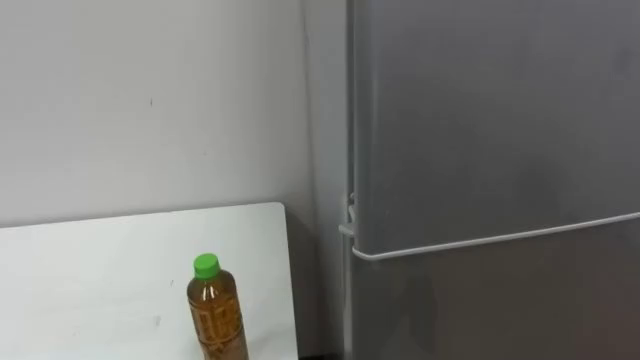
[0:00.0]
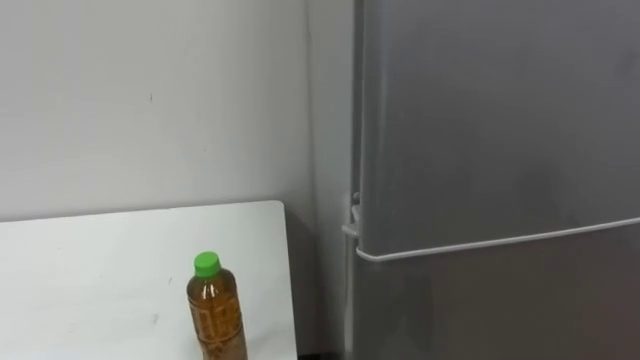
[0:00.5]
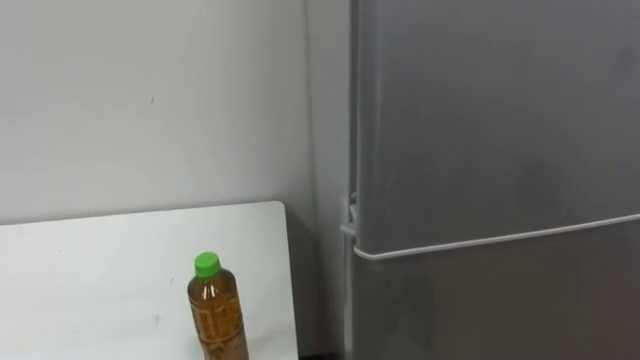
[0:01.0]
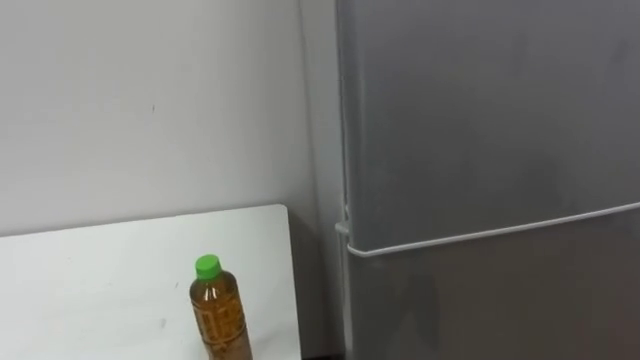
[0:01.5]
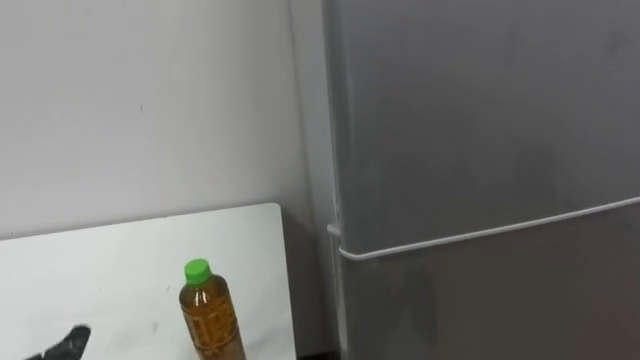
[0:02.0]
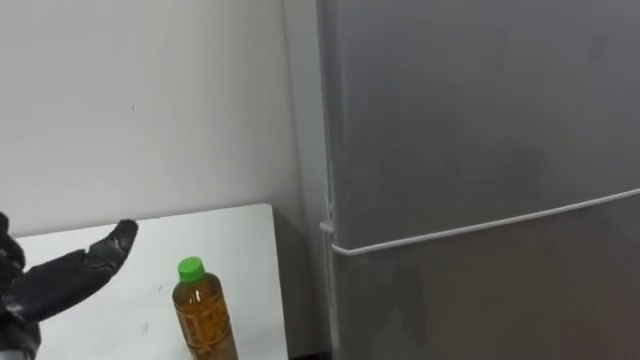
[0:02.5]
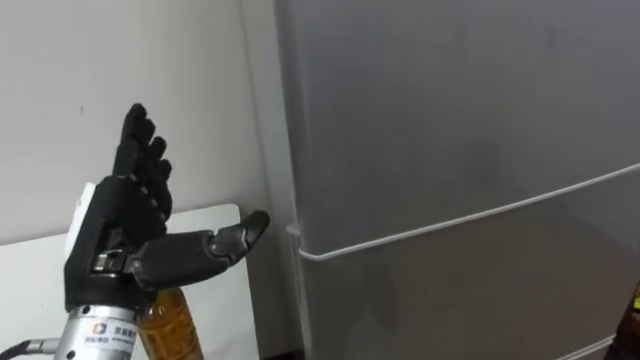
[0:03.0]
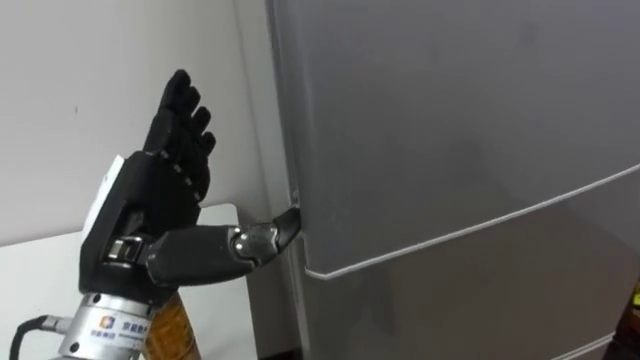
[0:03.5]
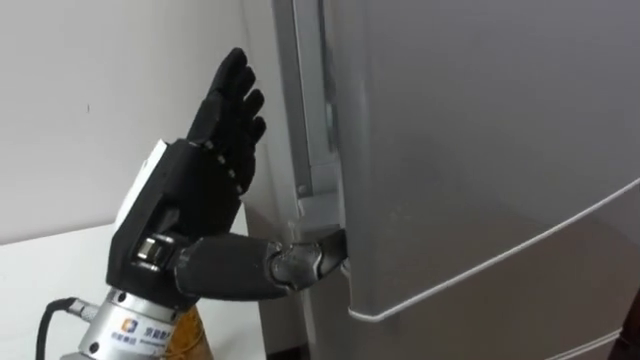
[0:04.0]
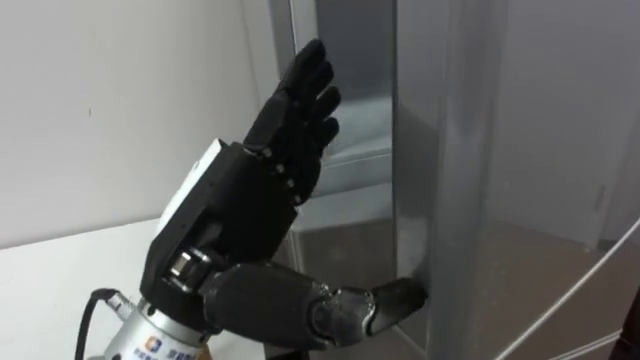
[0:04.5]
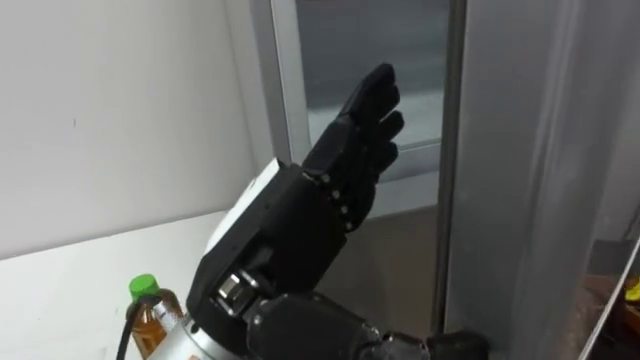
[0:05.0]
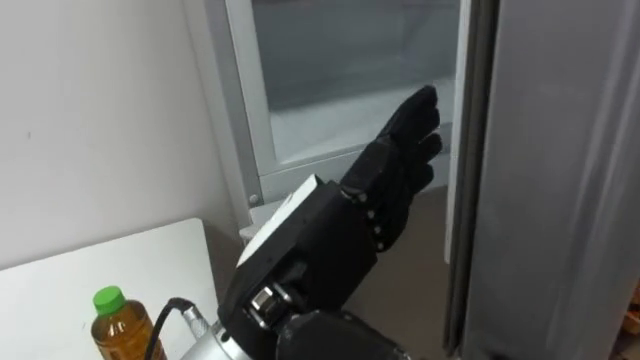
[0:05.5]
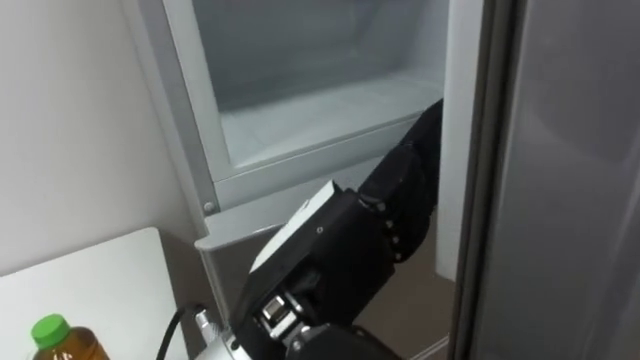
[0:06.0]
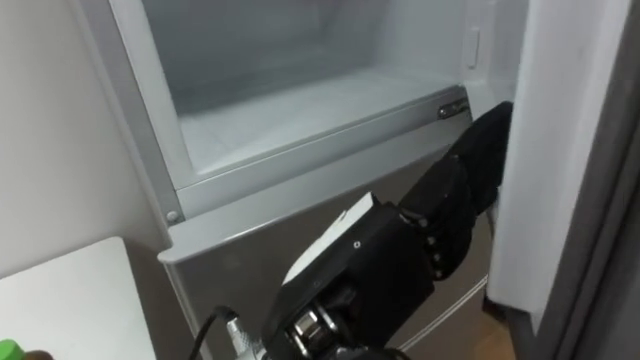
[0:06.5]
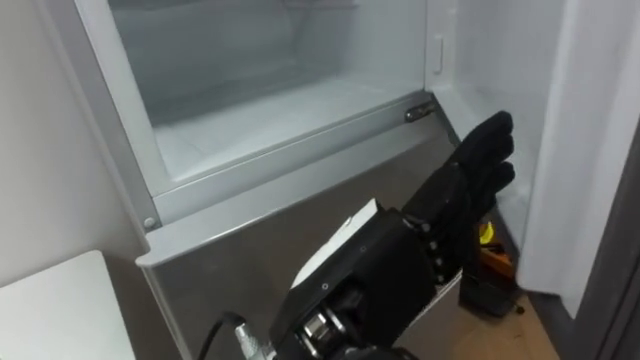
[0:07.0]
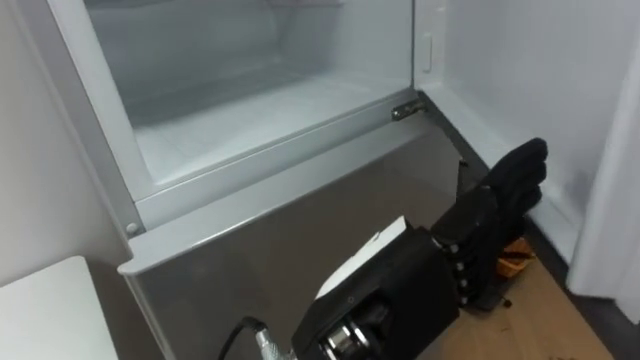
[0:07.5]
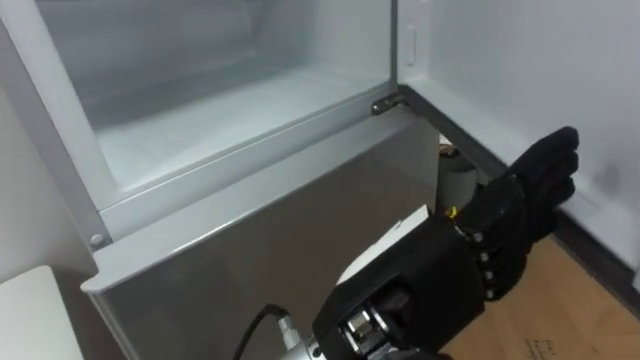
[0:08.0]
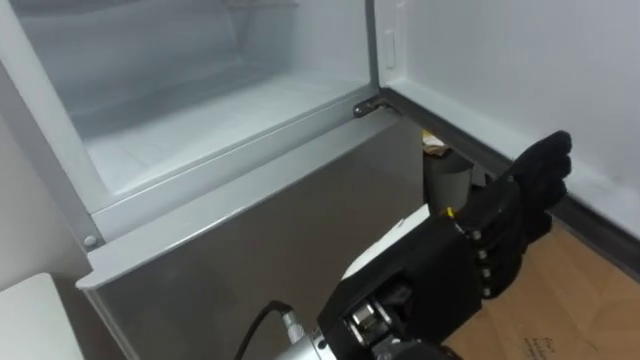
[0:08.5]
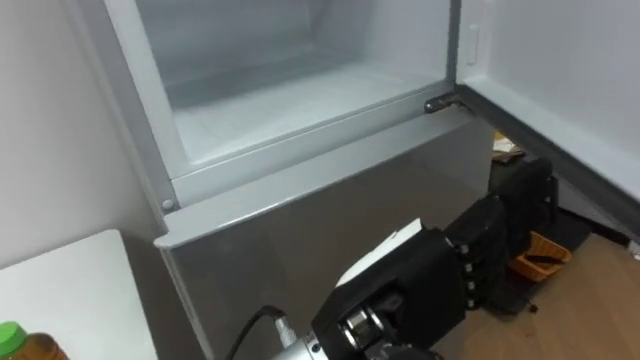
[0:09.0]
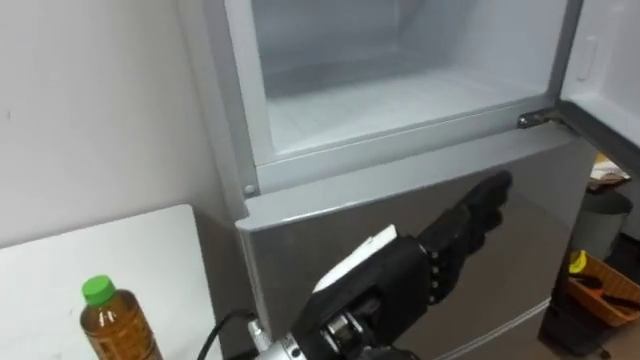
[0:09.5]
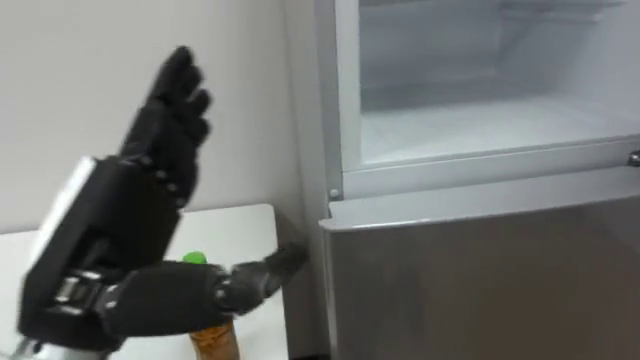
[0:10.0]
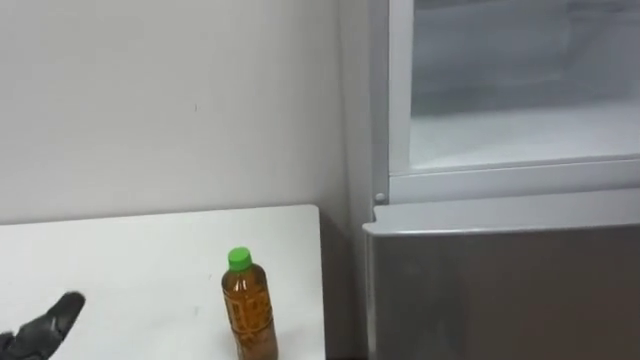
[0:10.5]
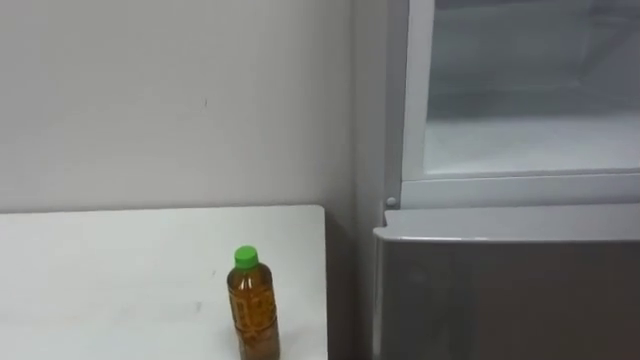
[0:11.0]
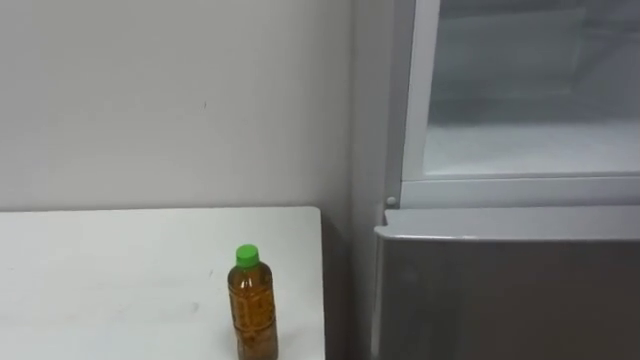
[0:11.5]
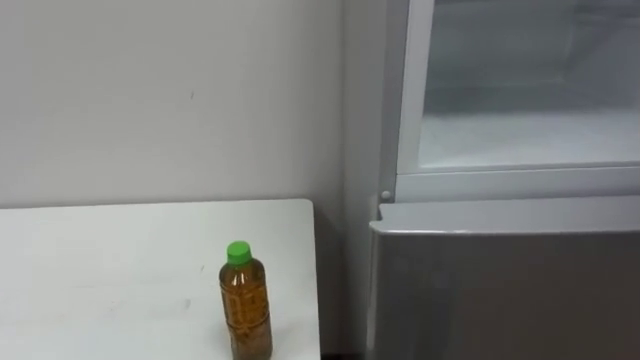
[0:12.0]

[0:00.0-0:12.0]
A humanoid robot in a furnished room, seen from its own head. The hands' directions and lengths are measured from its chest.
Task of the whole recording: Open the upper refrigerator door, put the drink from the table into the refrigerator, and then close the refrigerator door.
0:04.0 to 0:06.0: The left hand goes roughly 10 cm to the right.
0:06.0 to 0:08.0: The left hand goes roughly 5 cm to the right.
0:08.0 to 0:10.0: The left hand goes some 20 cm to the left.

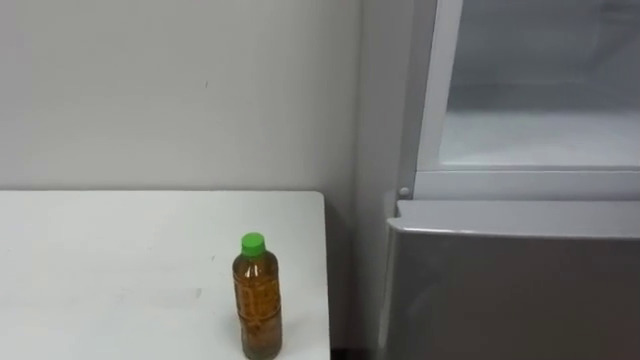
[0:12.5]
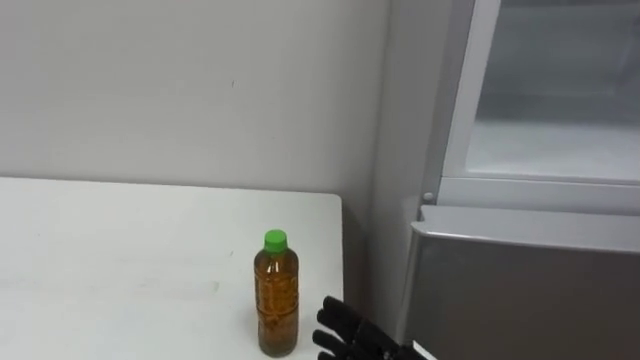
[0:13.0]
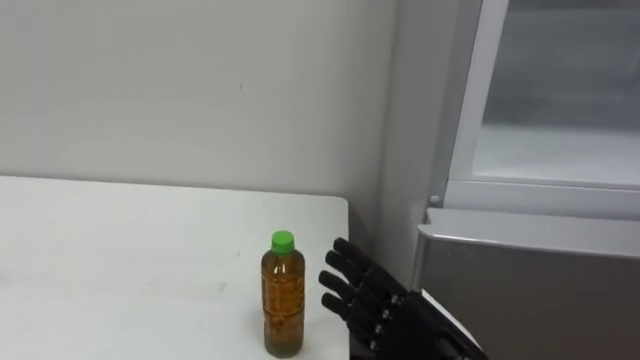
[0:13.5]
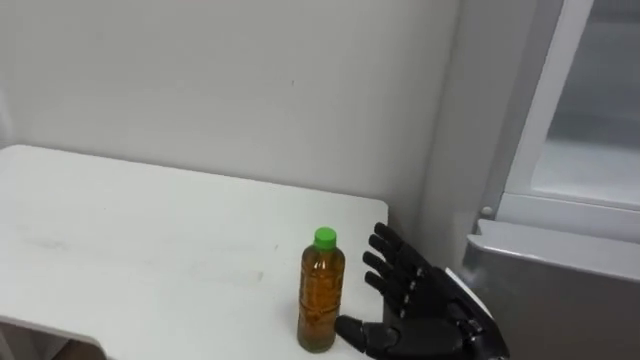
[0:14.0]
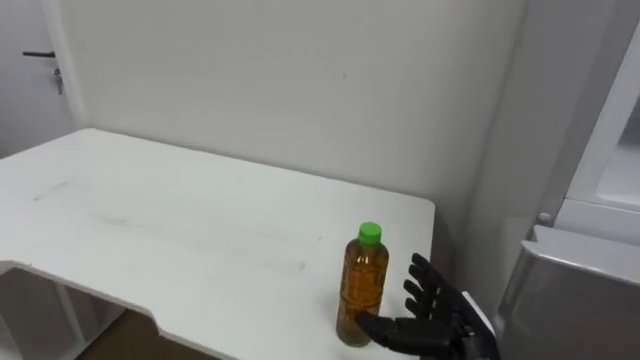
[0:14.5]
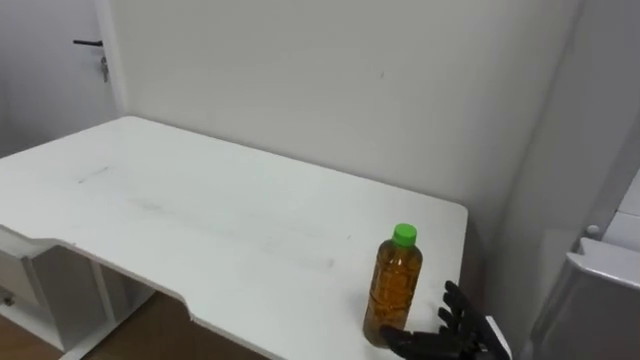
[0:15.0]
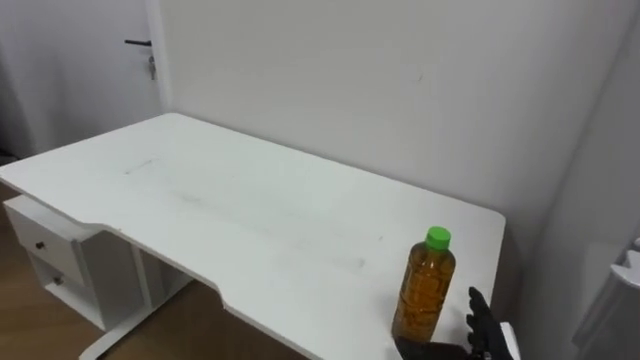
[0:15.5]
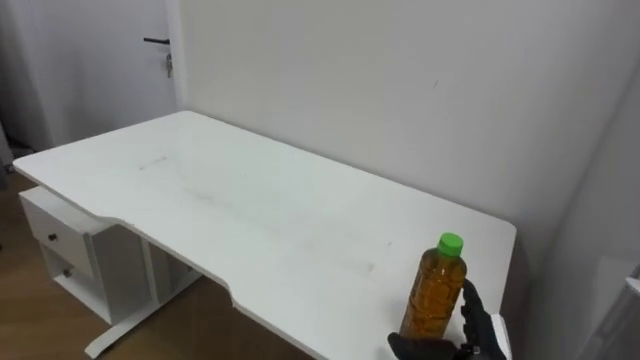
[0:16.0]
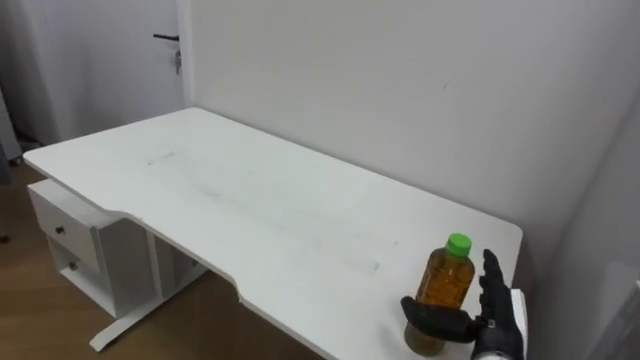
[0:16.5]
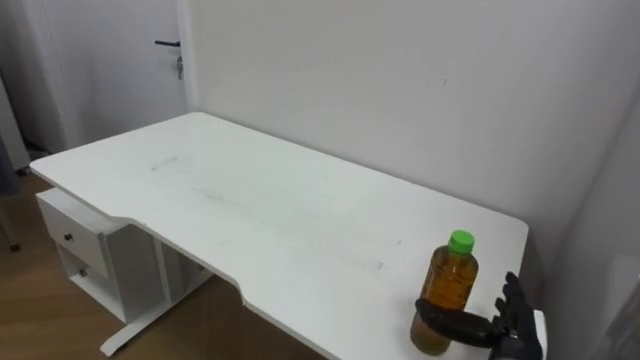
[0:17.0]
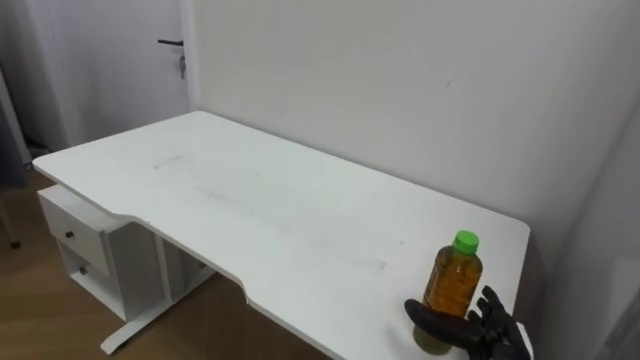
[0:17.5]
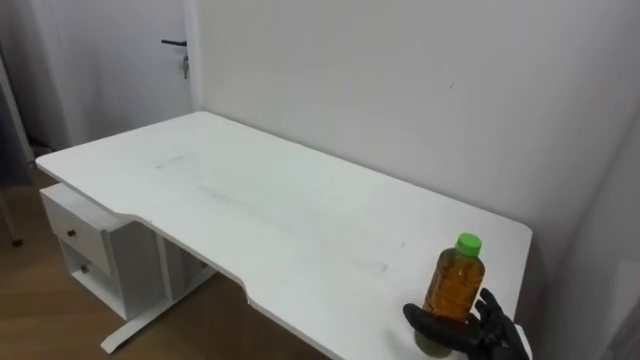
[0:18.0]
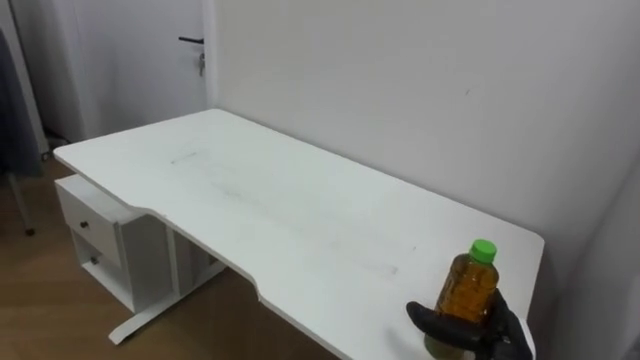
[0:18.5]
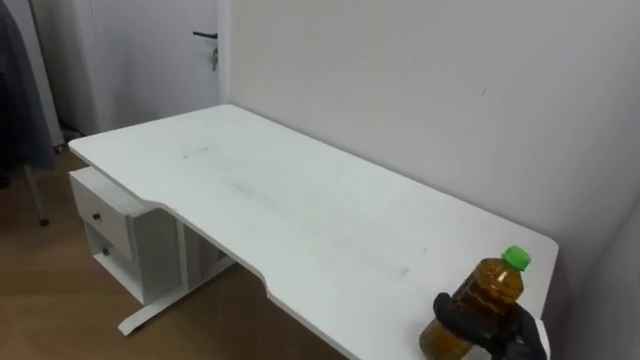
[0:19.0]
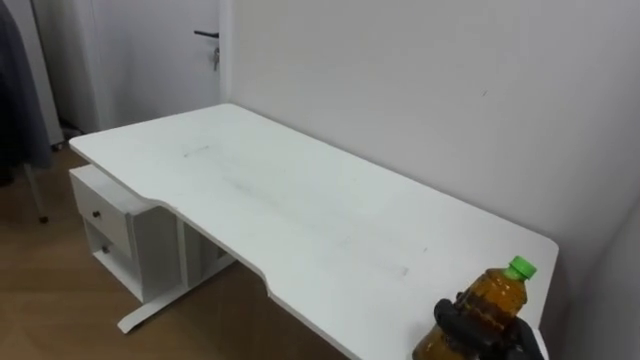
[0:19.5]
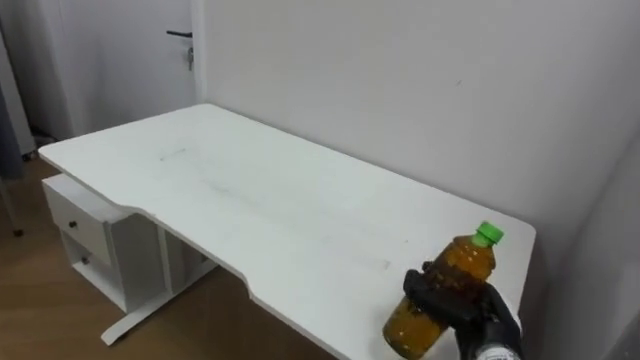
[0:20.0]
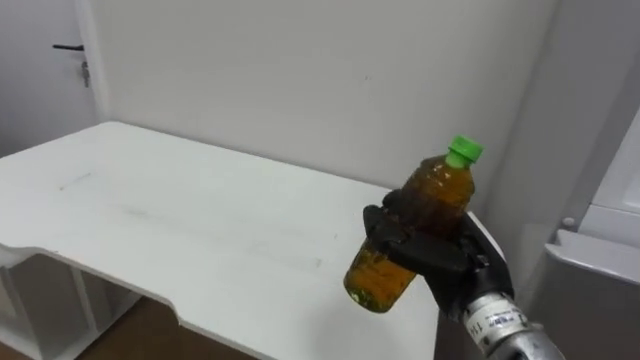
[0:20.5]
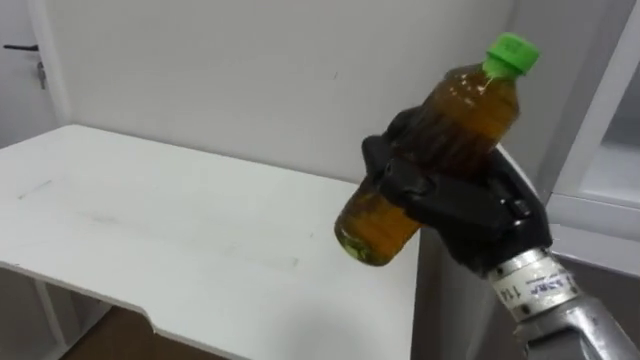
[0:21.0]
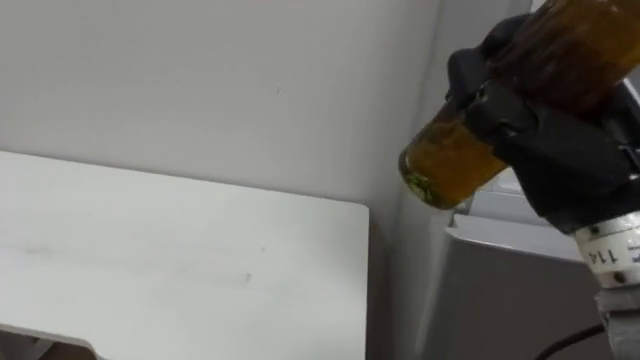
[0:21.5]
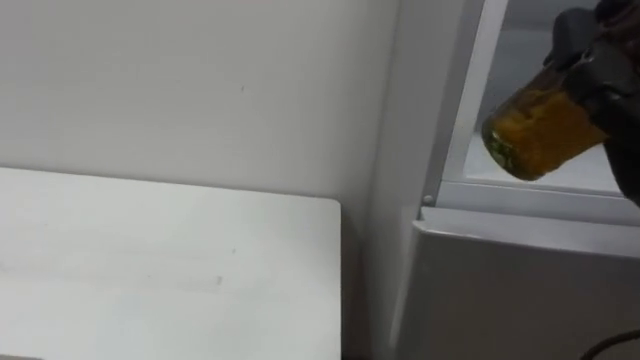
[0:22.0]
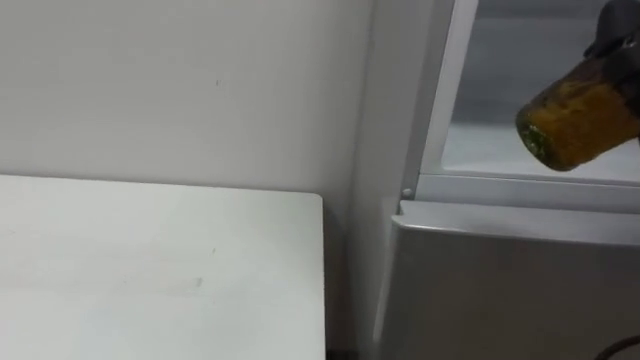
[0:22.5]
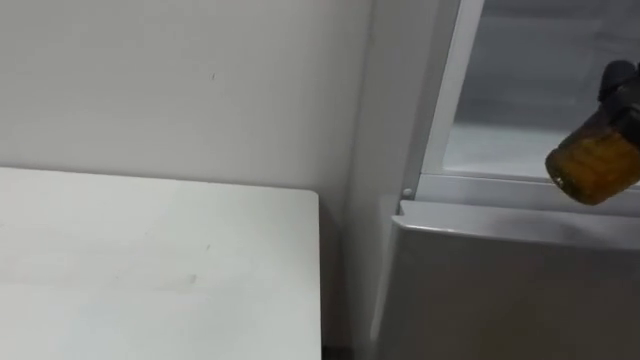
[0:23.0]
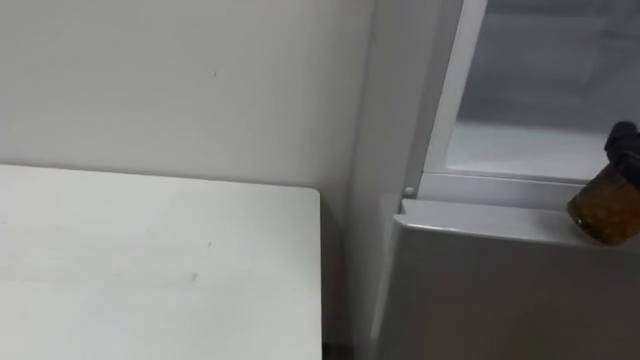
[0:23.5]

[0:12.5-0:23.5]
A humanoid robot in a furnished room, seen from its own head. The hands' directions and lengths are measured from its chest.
Task of the whole recording: Open the upper refrigerator door, put the drink from the table into the refrigerator, and then close the refrigerator door.
0:18.0 to 0:20.0: The right hand closes up.
0:20.0 to 0:21.5: The right hand is displaced upward by roughly 30 cm.
